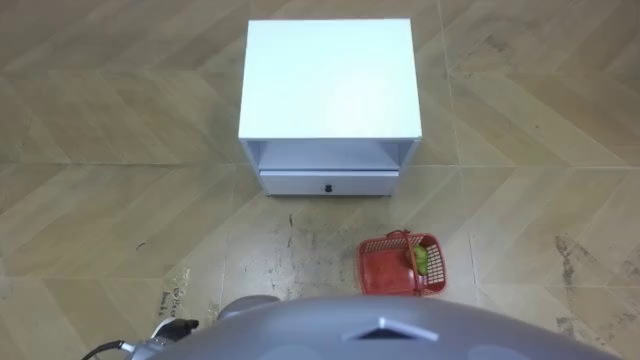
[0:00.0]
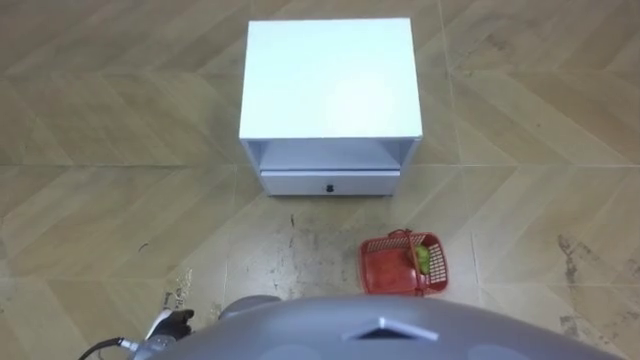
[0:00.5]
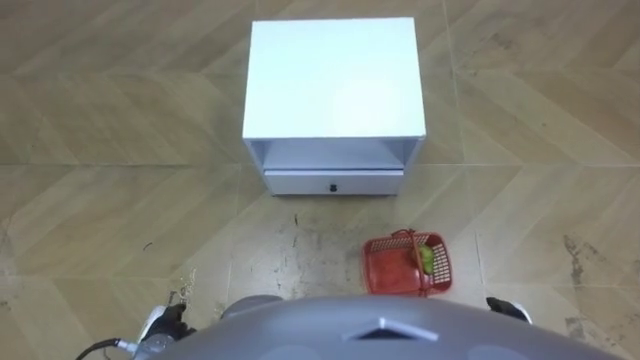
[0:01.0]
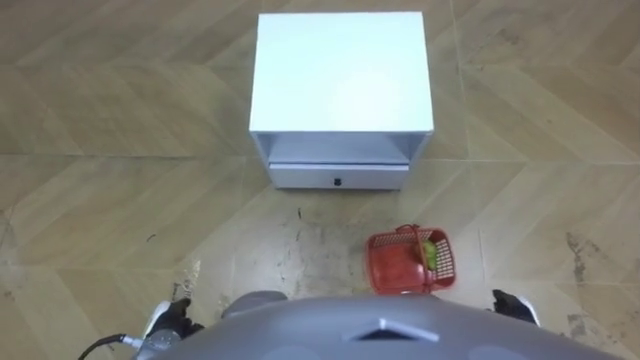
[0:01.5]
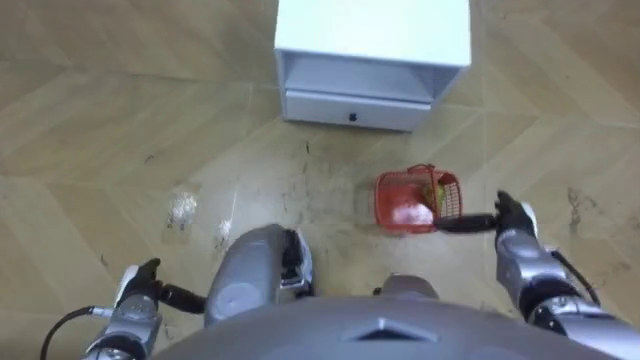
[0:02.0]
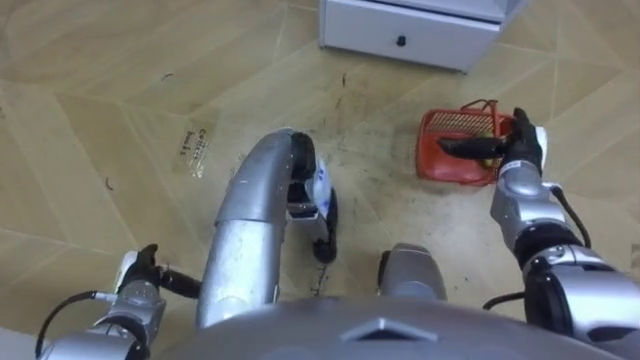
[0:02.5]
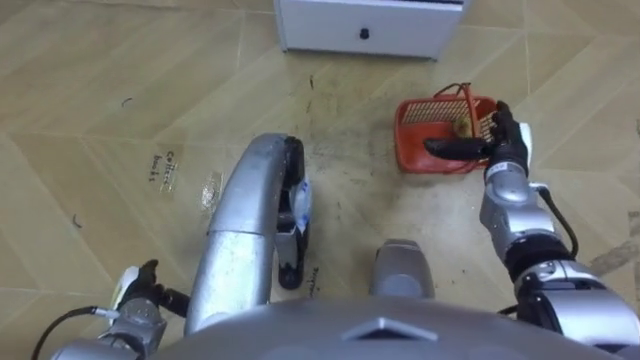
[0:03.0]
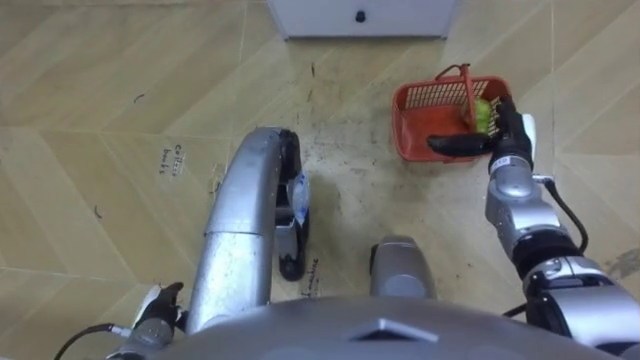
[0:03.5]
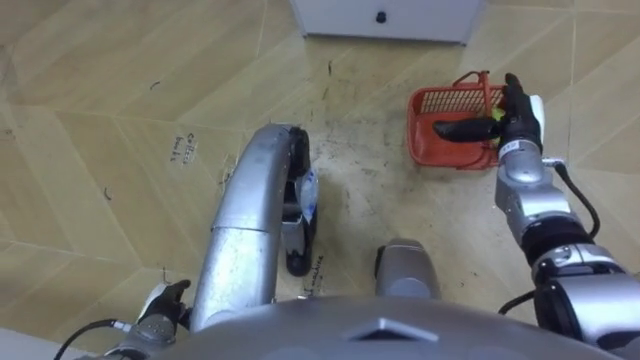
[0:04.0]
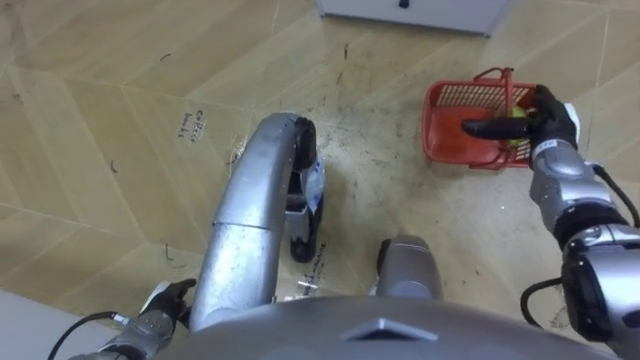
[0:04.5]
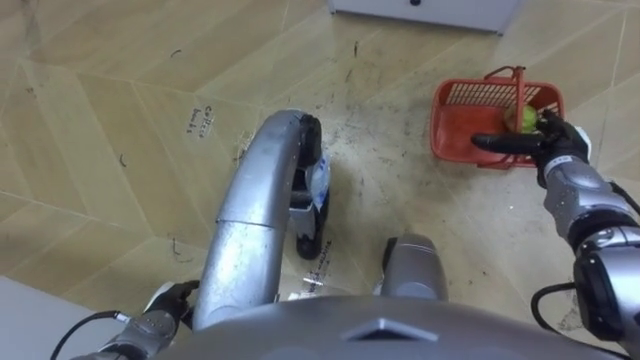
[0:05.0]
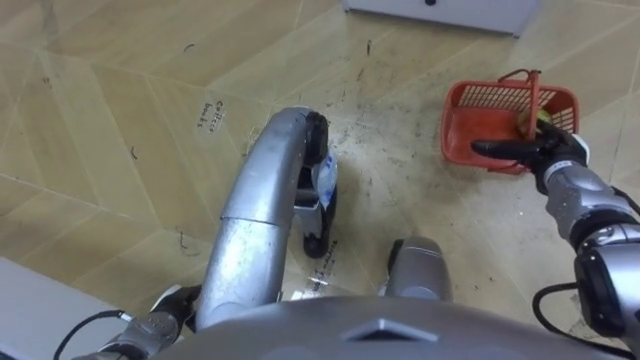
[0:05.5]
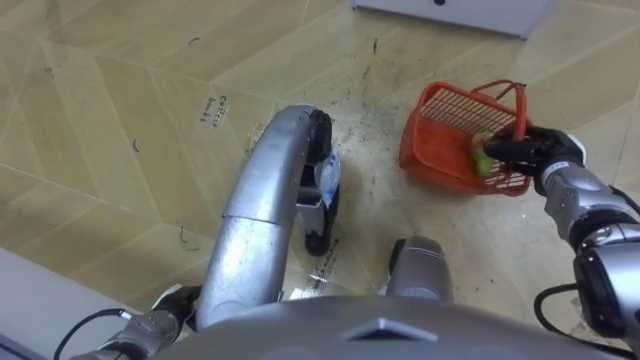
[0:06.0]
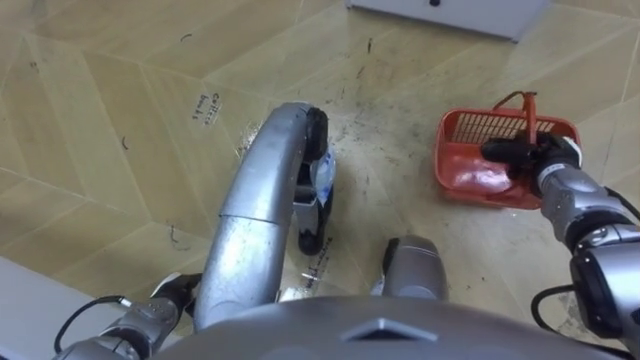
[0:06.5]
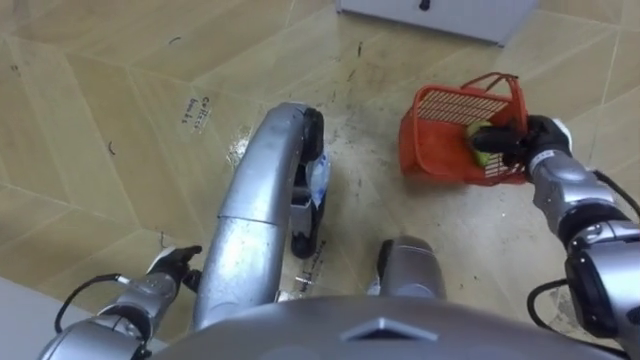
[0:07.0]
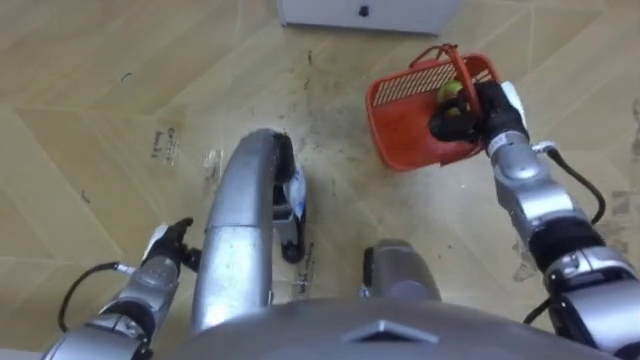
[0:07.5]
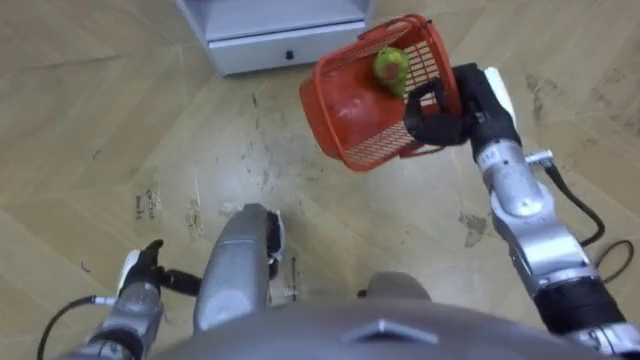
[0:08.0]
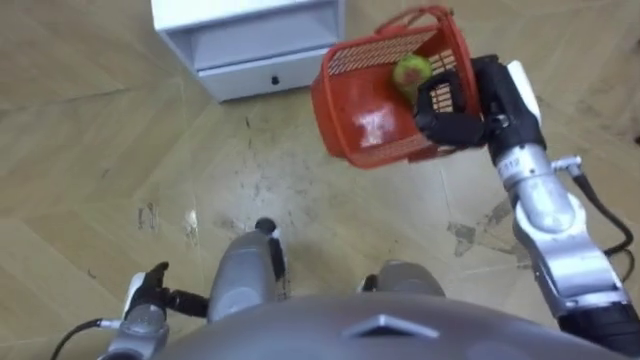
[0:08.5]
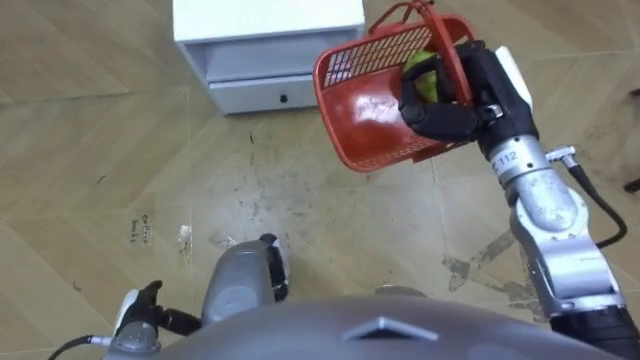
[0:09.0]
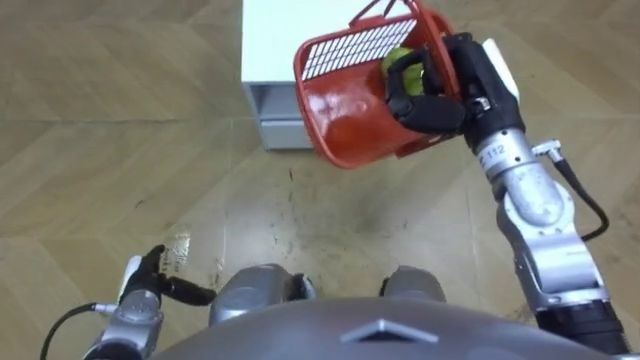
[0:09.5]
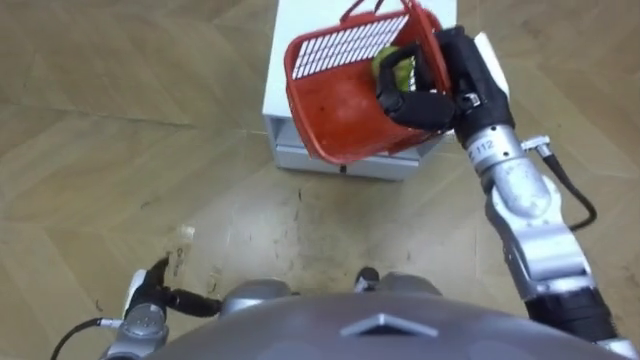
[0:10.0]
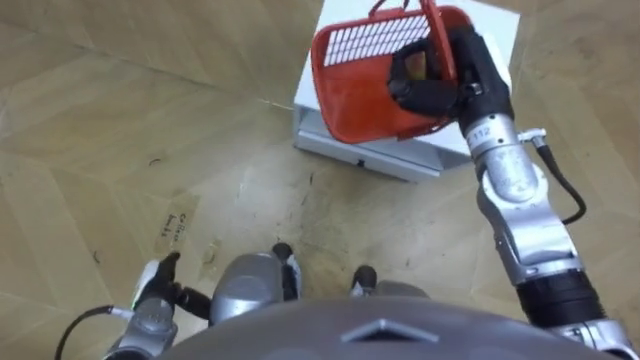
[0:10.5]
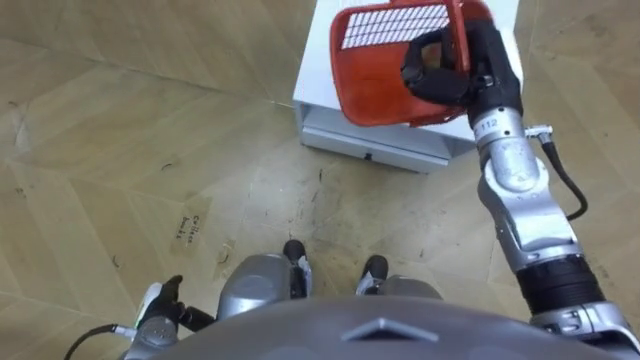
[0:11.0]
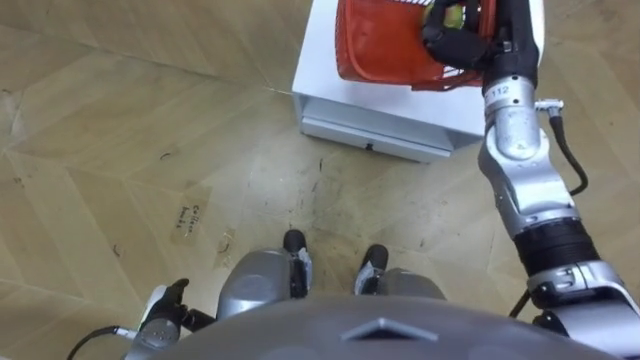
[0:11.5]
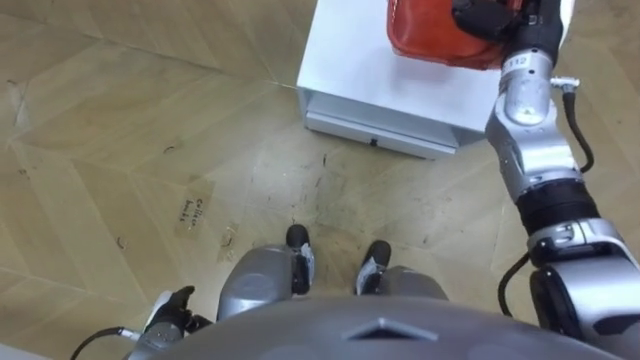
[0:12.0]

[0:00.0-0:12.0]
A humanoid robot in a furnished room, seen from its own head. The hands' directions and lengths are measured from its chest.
Task of the whole recording: Pick up the fruit basket from the floor and place it on the cabinet.
0:02.0 to 0:04.0: The right hand is displaced forward and upward by some 15 cm.
0:04.0 to 0:06.0: The right hand travels to the right by roughly 5 cm, and closes.
0:06.0 to 0:08.0: The robot's body swings roughly 20 degrees to its right. The left hand heads forward, covering about 5 cm, while the right hand shifts about 15 cm to the left and upward.
0:08.0 to 0:10.0: The right hand moves upward, roughly 5 cm.
0:10.0 to 0:12.0: The right hand shifts roughly 10 cm forward and to the right.

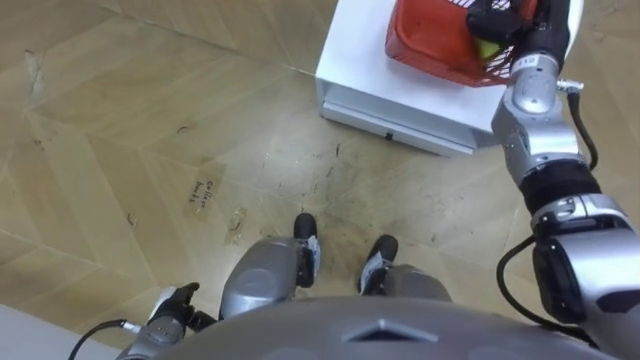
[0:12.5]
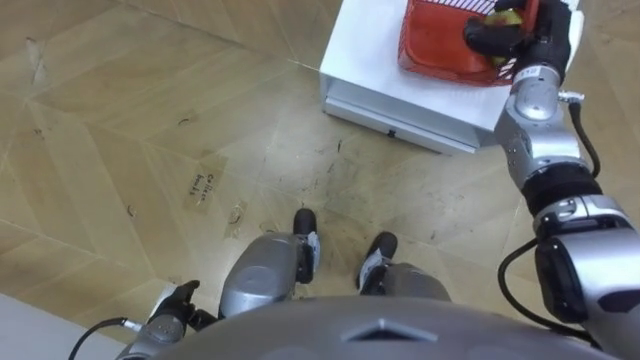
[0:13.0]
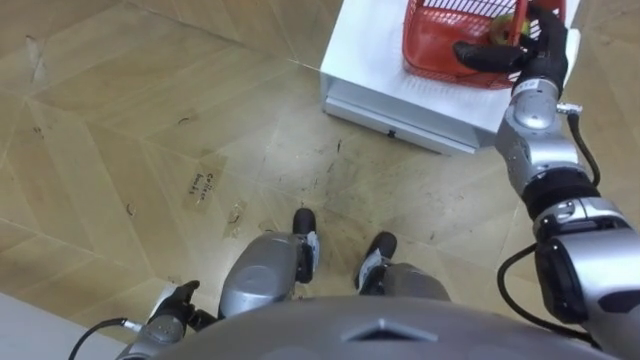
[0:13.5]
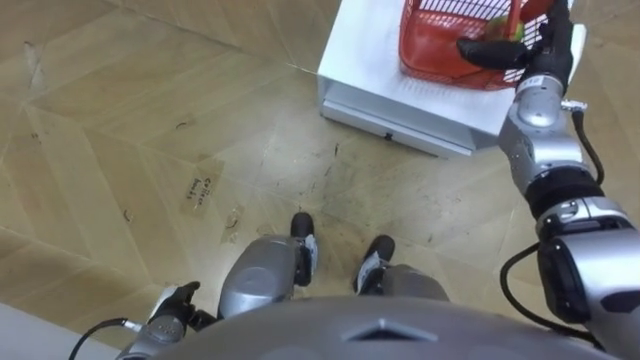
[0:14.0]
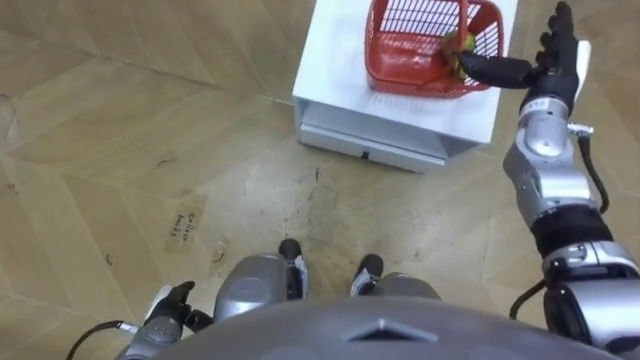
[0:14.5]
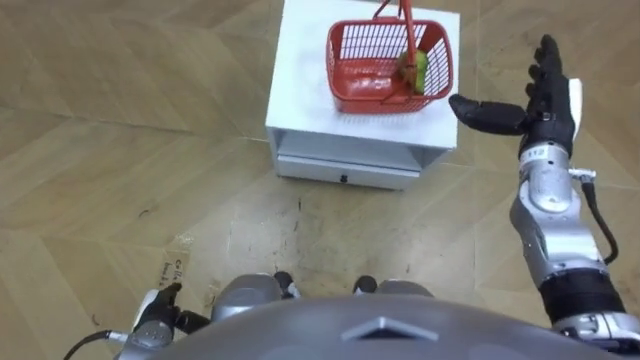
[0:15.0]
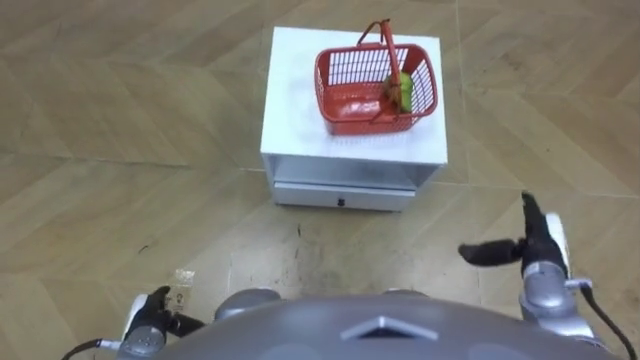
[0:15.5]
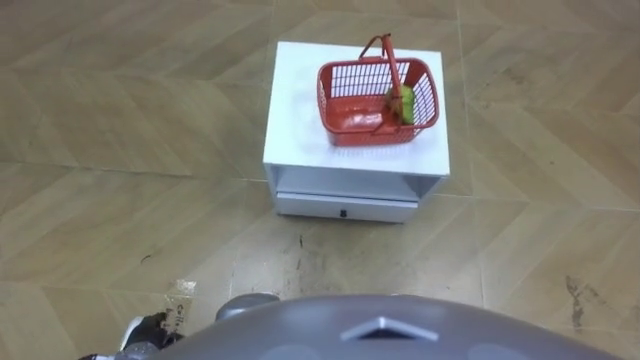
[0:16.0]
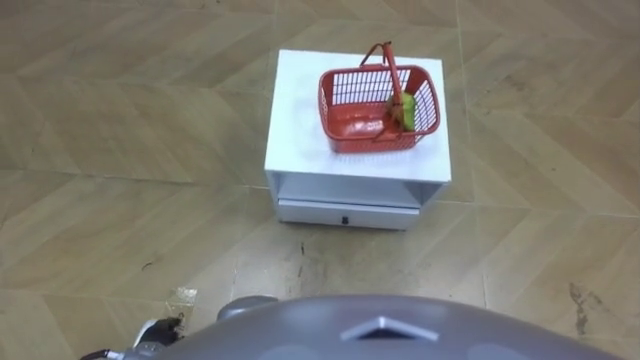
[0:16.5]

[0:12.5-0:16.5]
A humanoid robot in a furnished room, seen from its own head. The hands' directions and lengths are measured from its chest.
Task of the whole recording: Pick up the fruit basket from the floor and place it on the cabinet.
0:12.5 to 0:14.5: The right hand ends up approximately 5 cm from where it was, and opens.
0:14.5 to 0:16.5: The right hand heads backward and downward, covering about 40 cm.

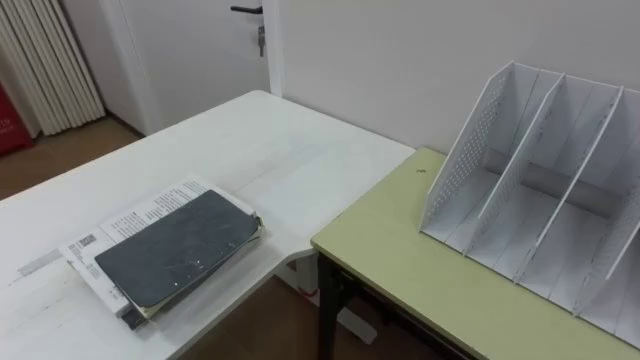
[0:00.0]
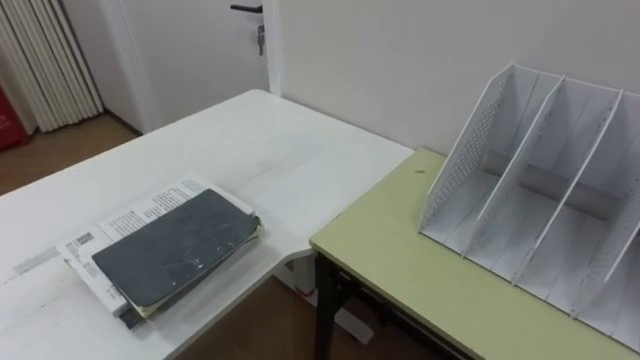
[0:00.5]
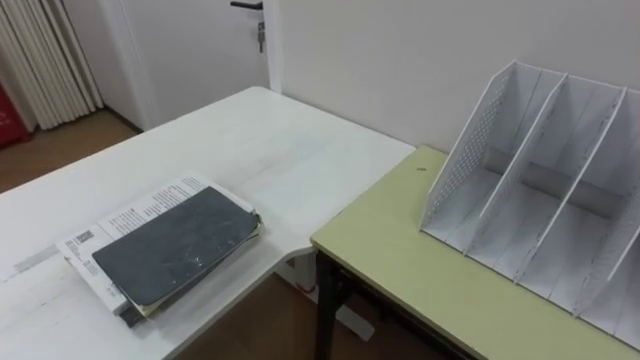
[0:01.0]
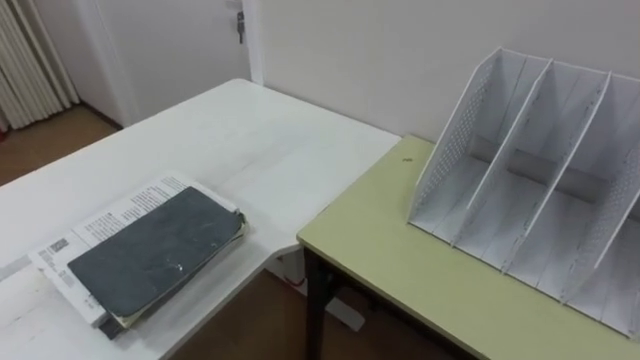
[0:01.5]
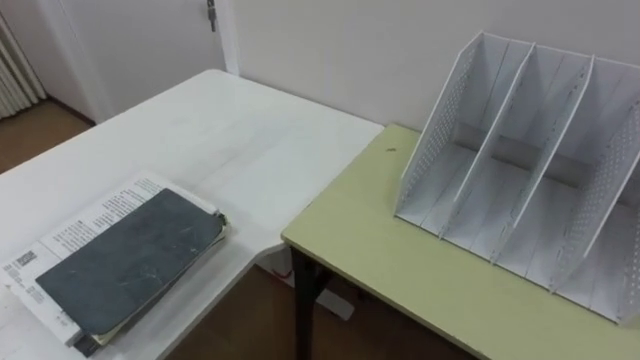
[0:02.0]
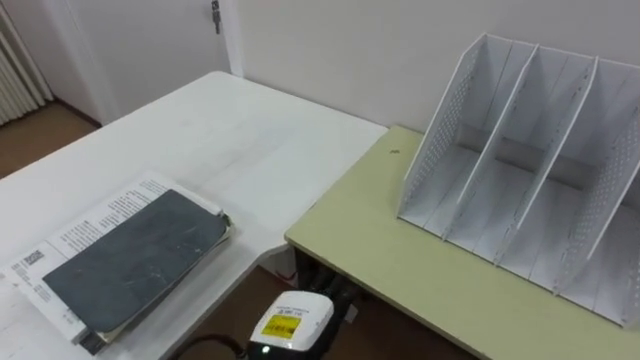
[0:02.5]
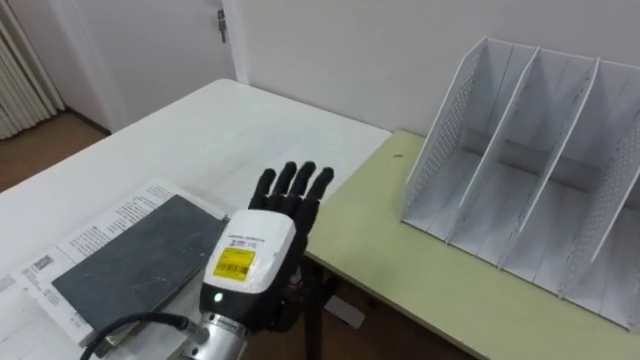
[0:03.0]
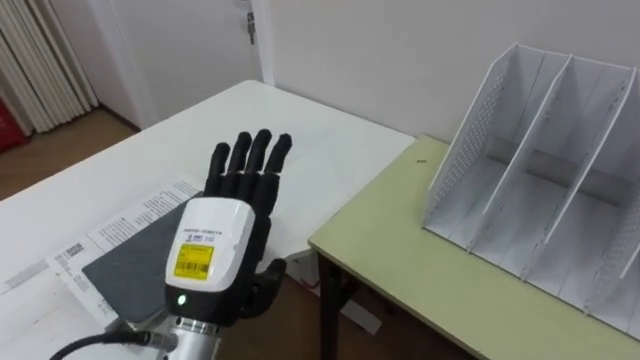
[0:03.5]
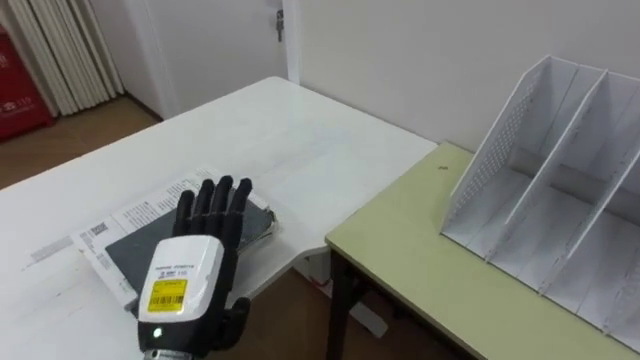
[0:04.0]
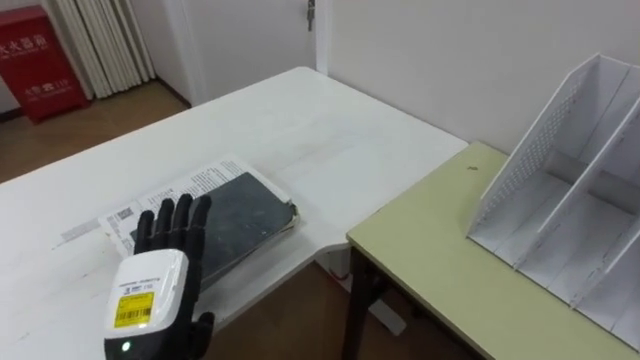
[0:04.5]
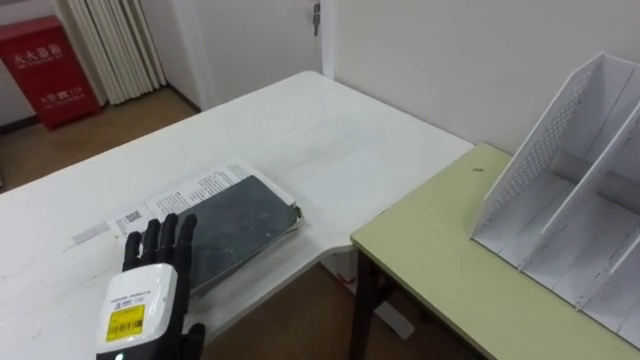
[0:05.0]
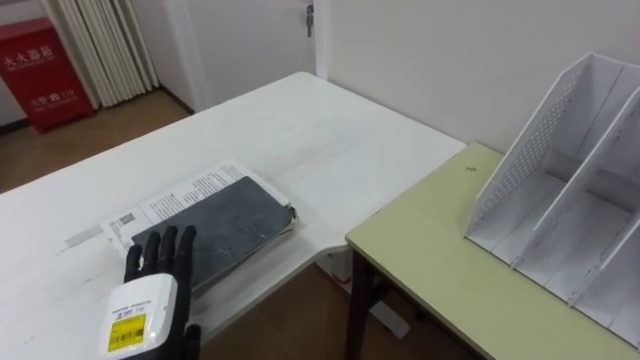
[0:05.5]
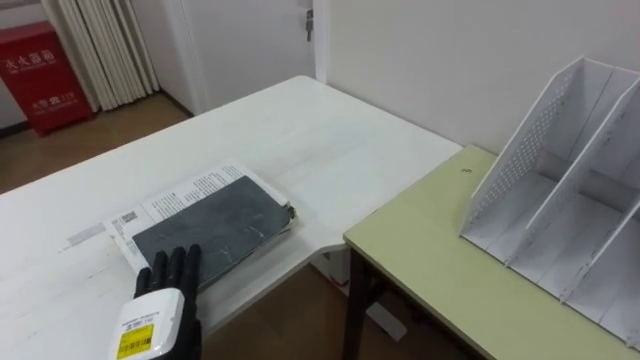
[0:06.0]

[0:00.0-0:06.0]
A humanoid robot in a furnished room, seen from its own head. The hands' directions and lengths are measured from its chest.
Task of the whole recording: Put the books on the table onto the bookshelf.
0:04.0 to 0:06.0: The left hand goes about 10 cm downward and to the left.
